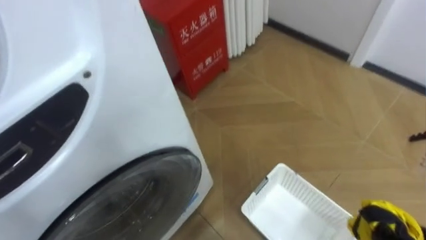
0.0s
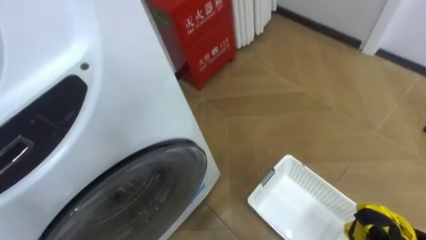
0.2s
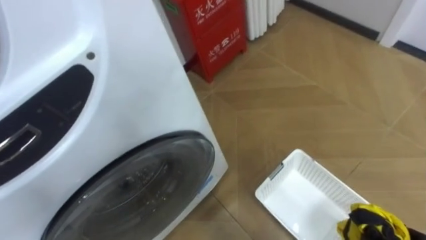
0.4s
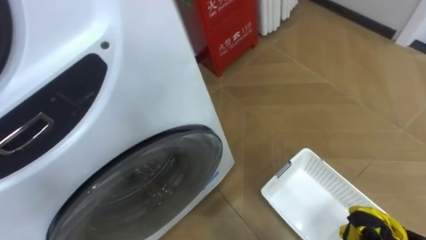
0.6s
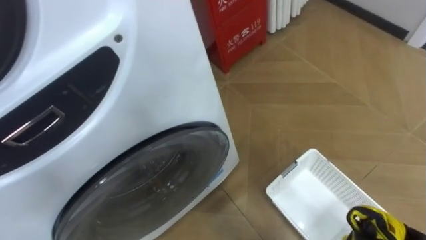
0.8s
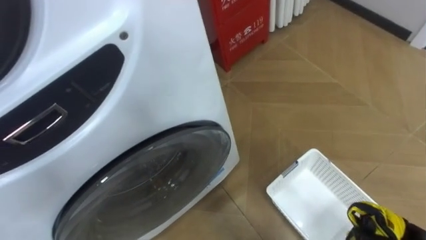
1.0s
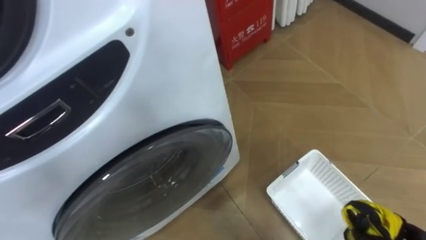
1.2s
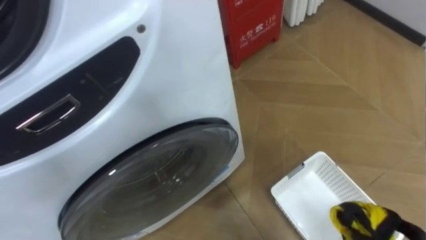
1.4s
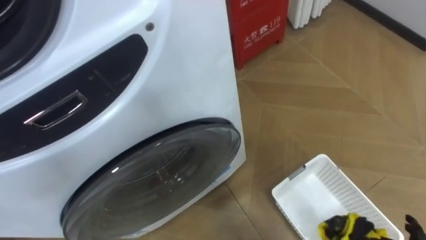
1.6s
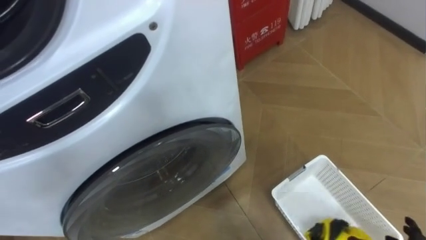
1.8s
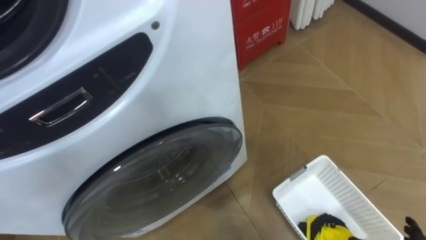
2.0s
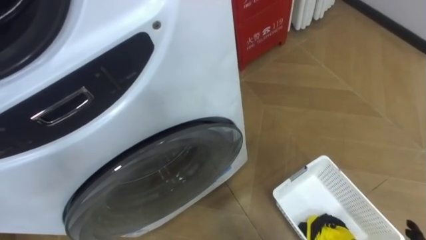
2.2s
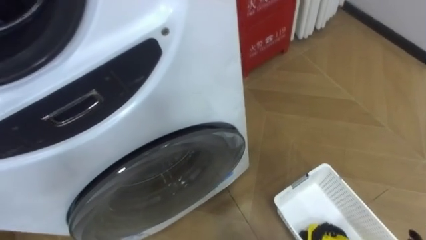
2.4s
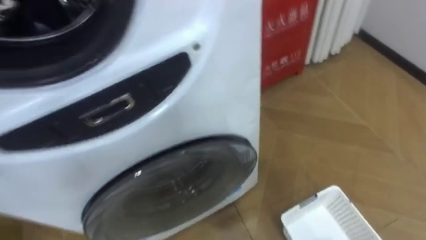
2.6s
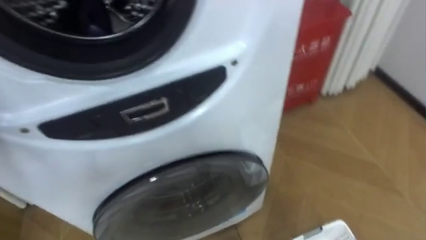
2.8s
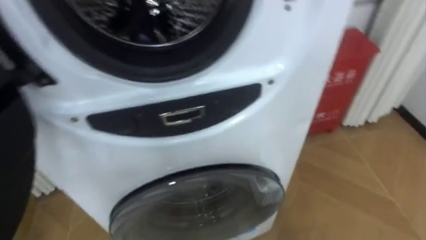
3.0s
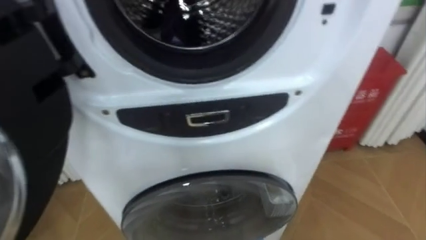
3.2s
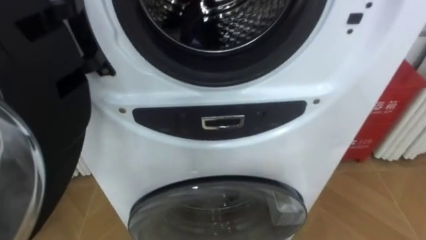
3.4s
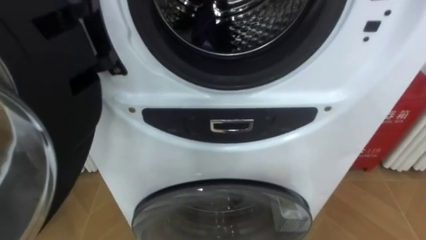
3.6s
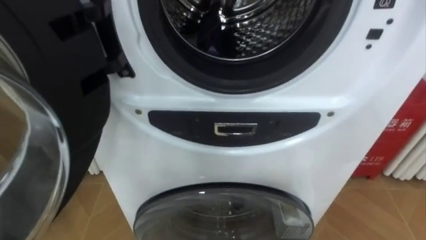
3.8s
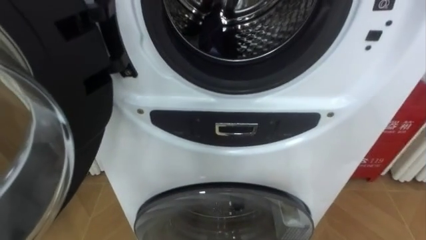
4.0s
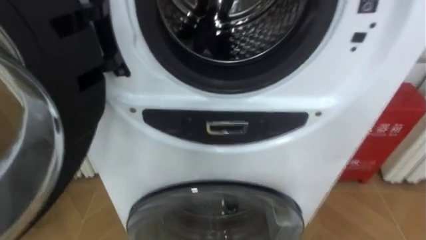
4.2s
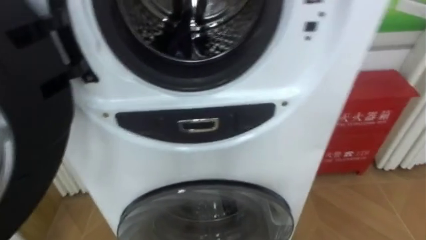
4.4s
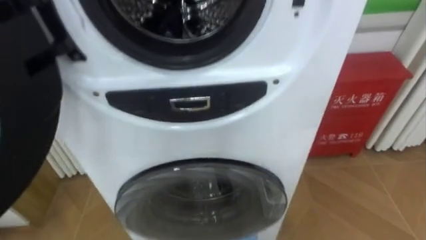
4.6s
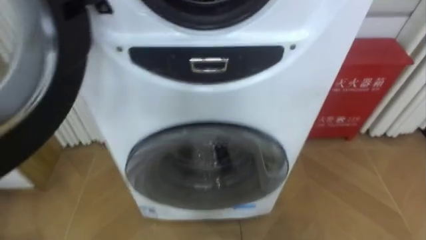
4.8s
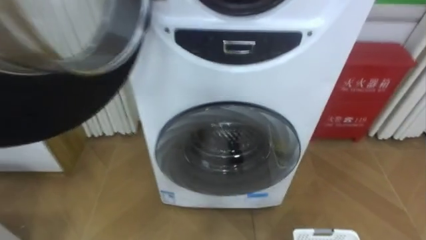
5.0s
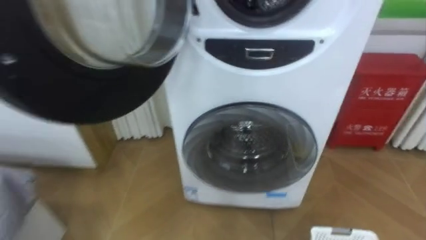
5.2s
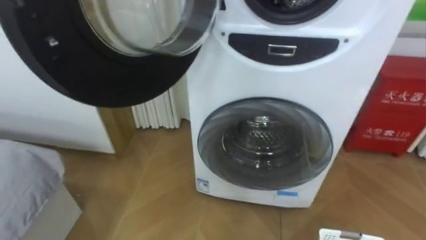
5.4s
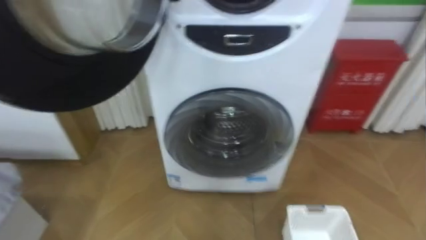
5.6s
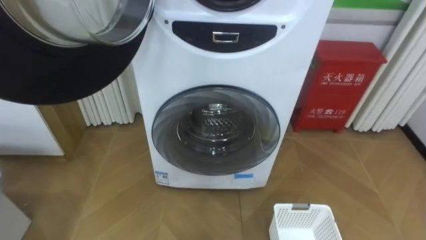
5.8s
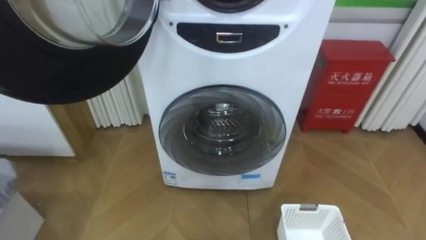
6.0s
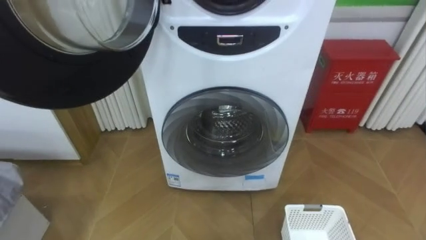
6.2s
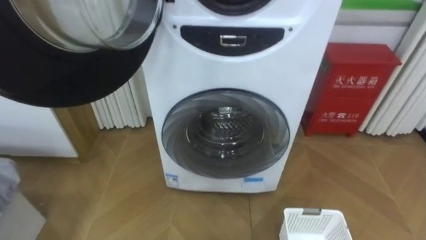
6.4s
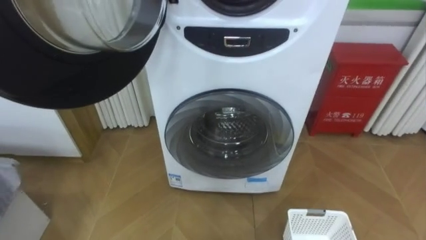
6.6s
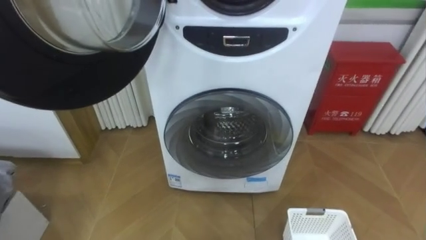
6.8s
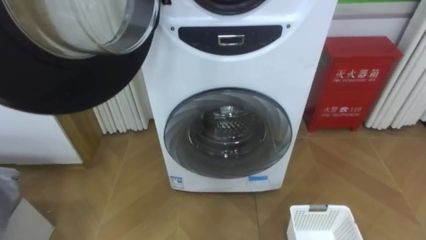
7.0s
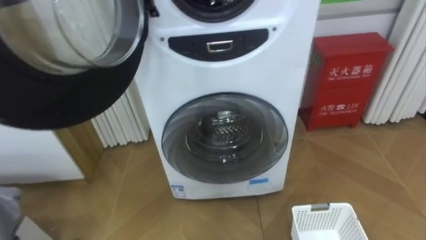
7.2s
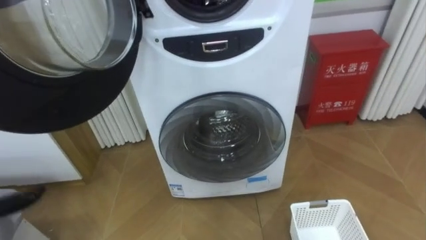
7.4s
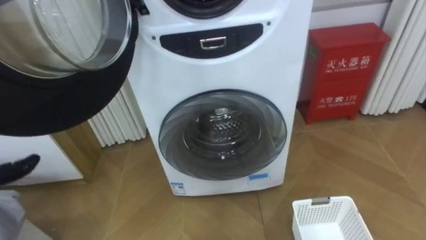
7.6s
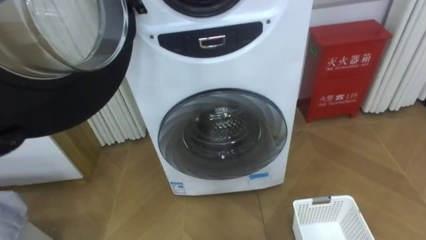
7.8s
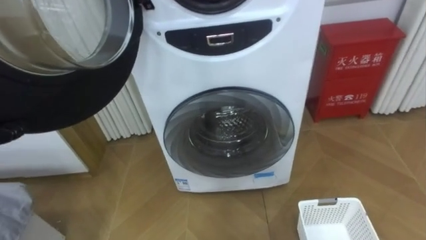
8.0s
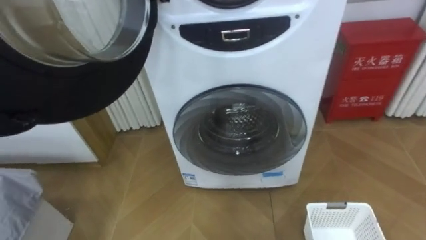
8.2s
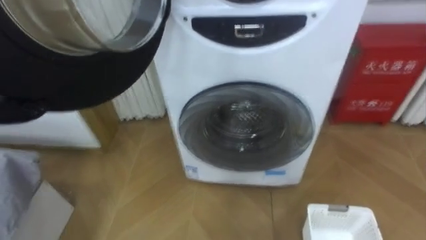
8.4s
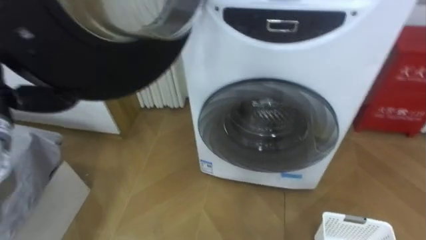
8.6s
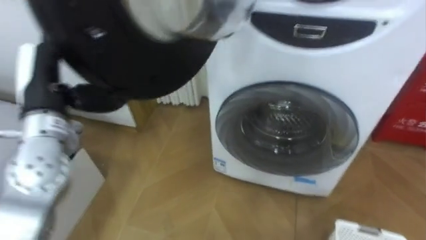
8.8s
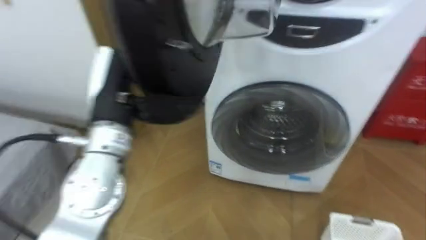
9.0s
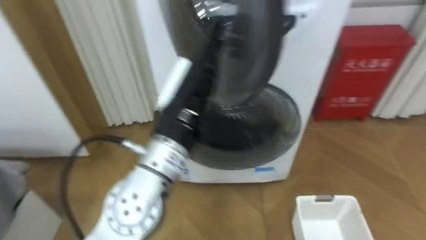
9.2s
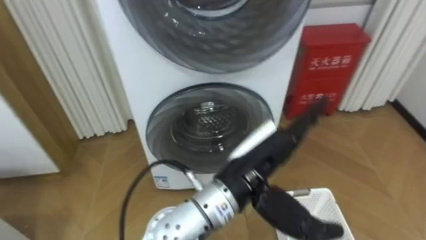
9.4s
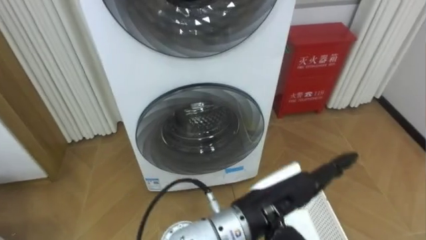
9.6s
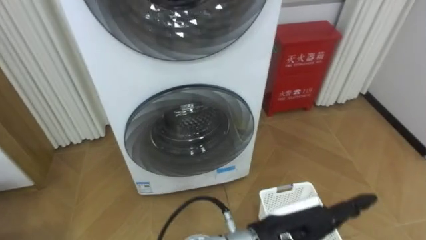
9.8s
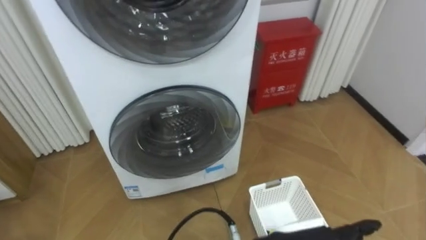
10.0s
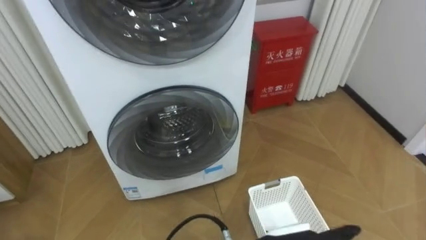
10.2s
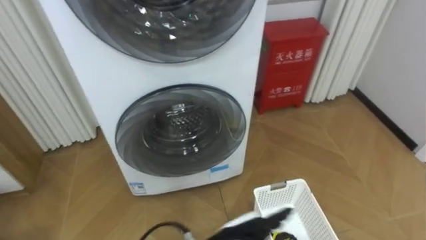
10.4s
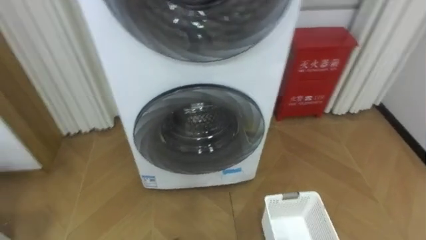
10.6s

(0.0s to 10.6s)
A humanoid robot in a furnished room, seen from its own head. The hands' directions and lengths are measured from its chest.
Task of the whole recording: Open the washing machine door, take out the yellow clothes, place them in the box on the right, and close the washing machine door.
7.6s - 9.0s: The robot turns to its left by about 15 degrees.

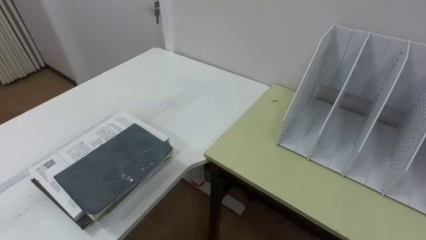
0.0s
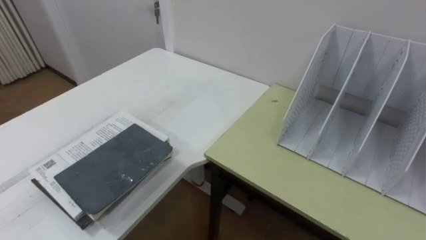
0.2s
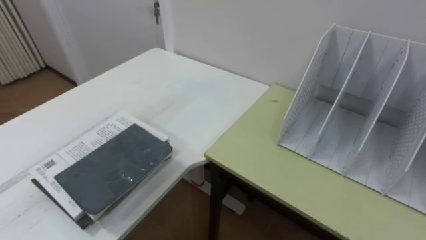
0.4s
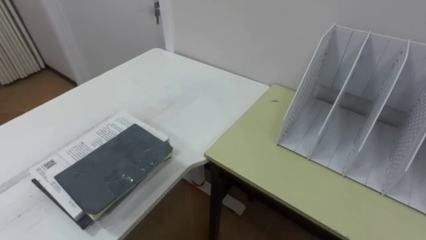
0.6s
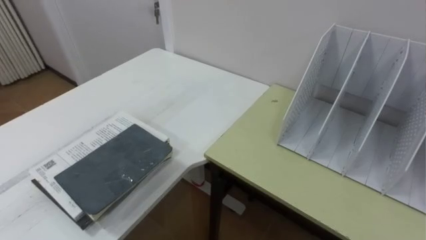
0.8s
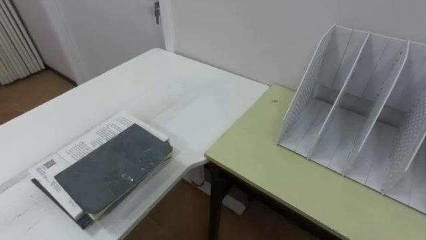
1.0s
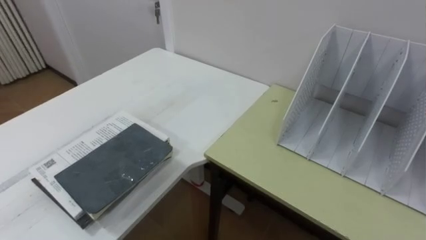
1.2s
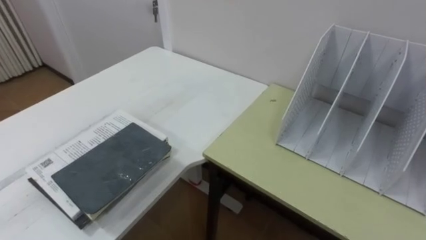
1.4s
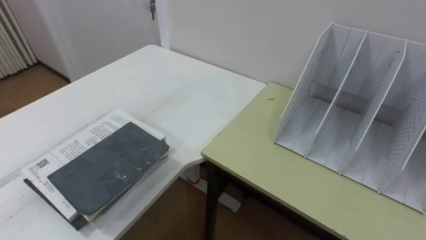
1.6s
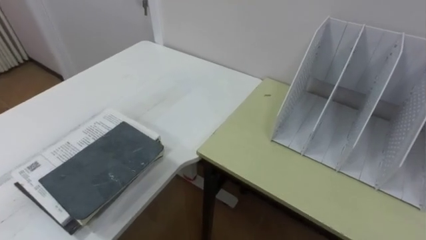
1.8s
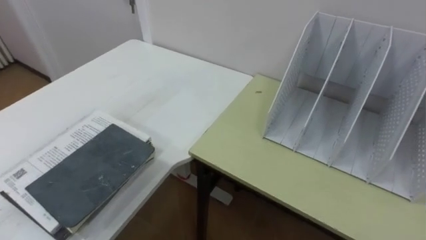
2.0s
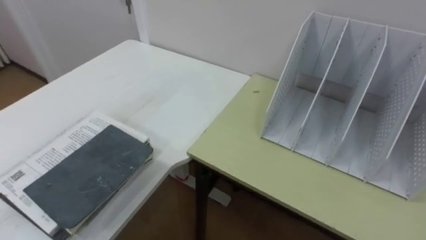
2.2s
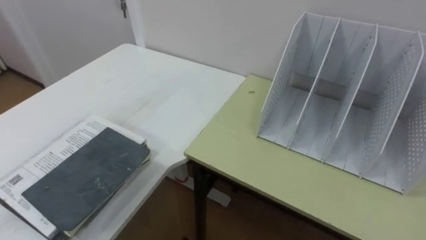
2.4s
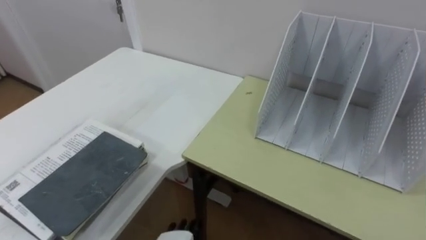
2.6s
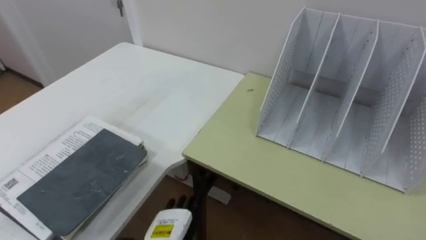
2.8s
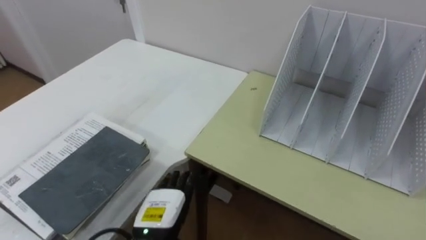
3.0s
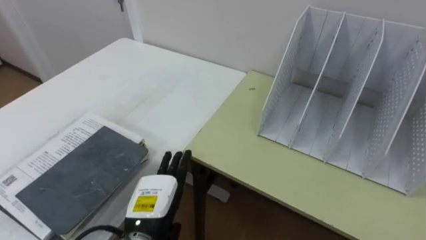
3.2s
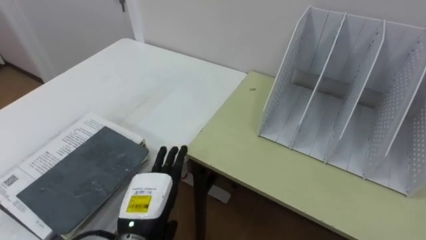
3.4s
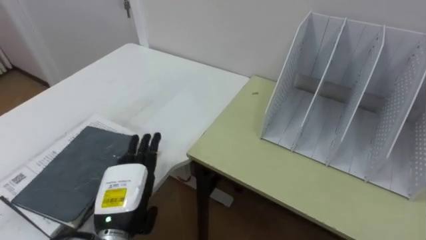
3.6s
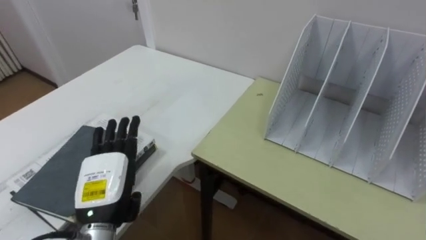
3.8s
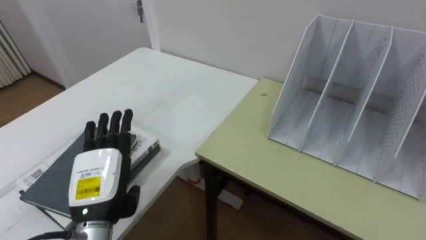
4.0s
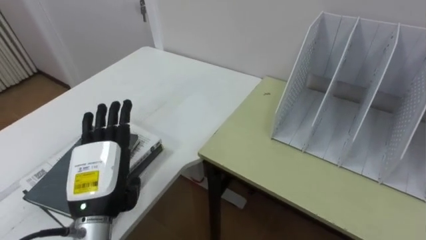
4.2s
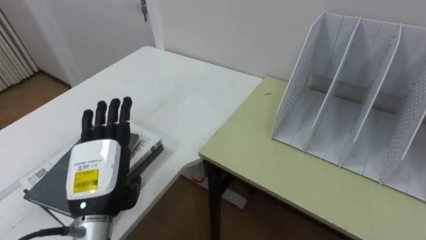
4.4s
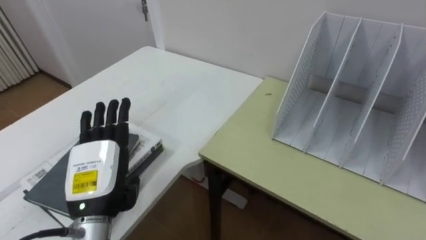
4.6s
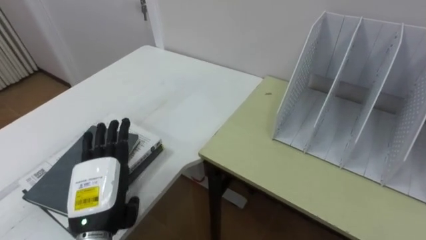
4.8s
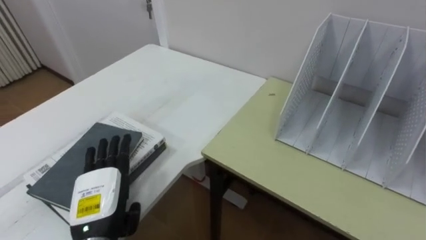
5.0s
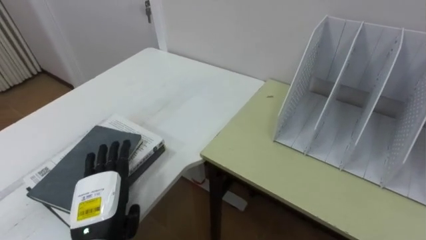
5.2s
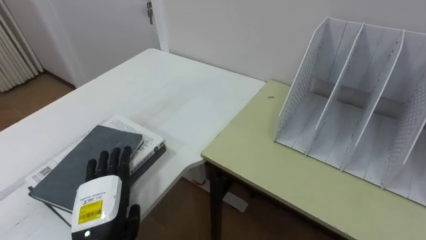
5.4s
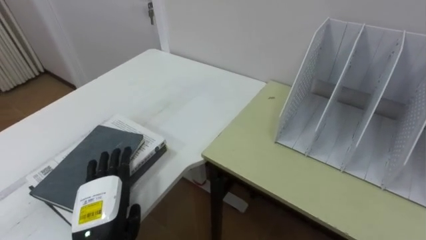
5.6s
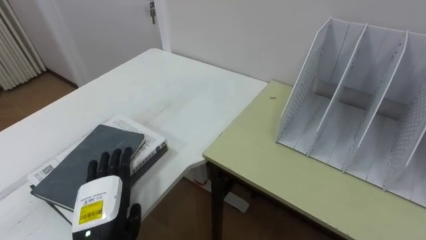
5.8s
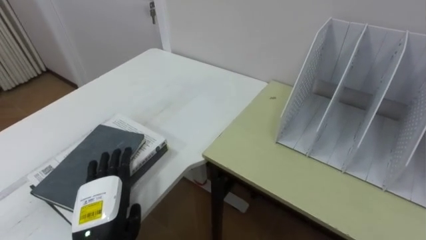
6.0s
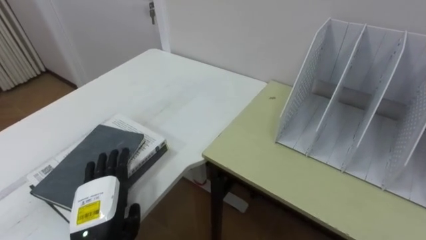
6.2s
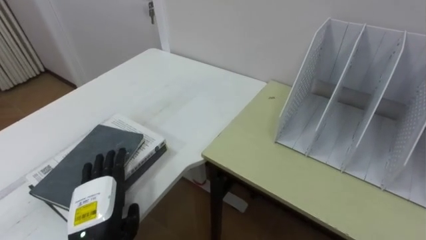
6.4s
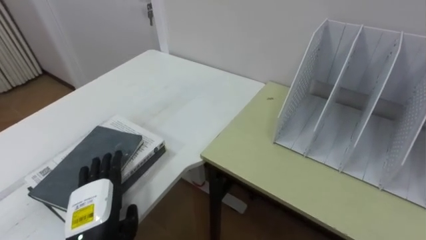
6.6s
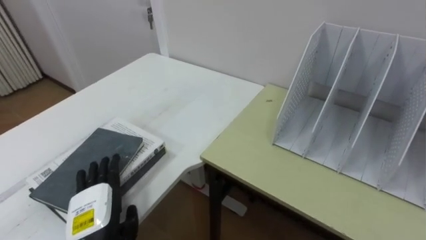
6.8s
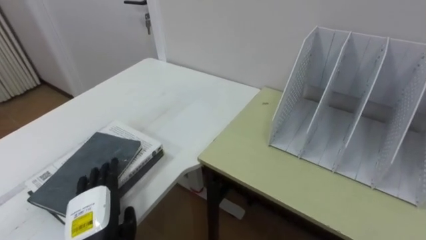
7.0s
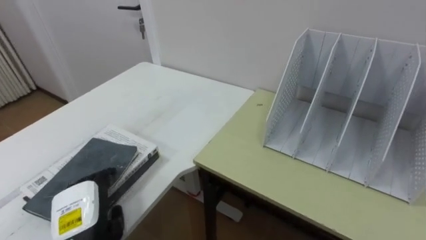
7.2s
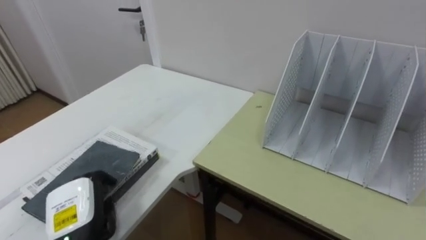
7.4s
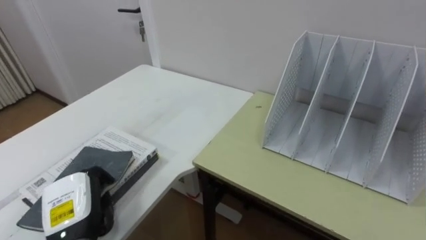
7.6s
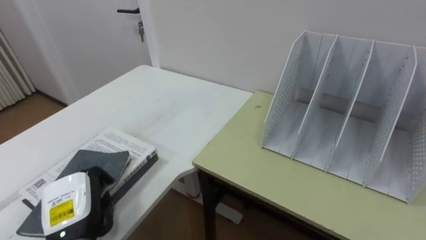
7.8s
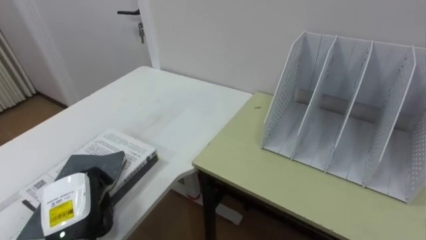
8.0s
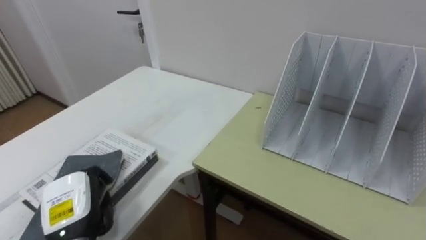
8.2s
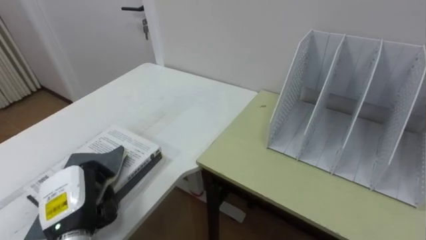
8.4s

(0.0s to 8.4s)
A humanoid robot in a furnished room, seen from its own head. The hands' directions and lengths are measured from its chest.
Task of the whole recording: Put the books on the table onto the bookshelf.
2.8s - 4.2s: The left hand is displaced upward and to the left by some 20 cm.
4.2s - 5.6s: The left hand shifts some 5 cm downward.
7.0s - 8.4s: The left hand changes place by some 5 cm, and closes up.
